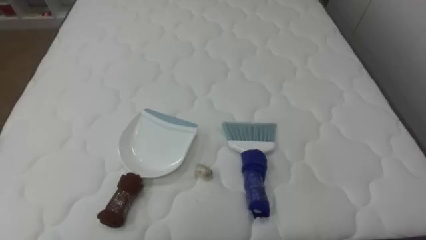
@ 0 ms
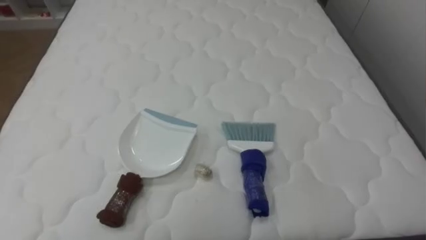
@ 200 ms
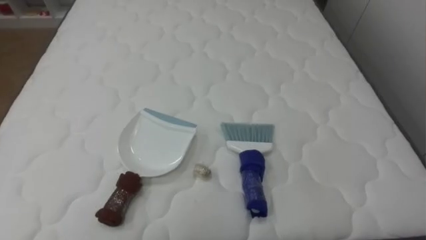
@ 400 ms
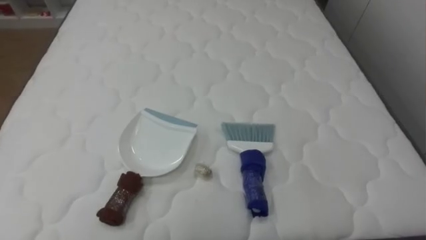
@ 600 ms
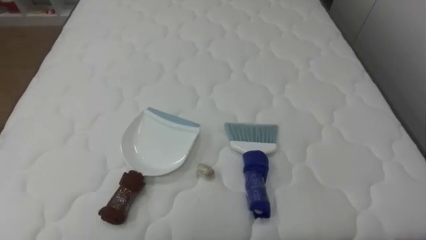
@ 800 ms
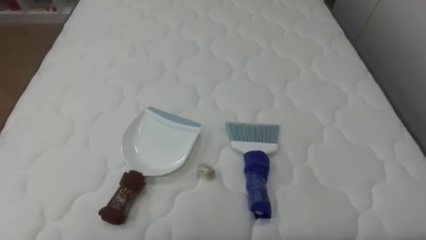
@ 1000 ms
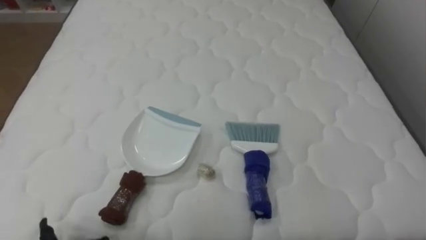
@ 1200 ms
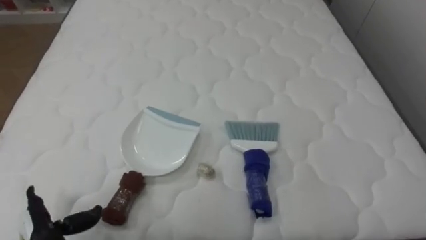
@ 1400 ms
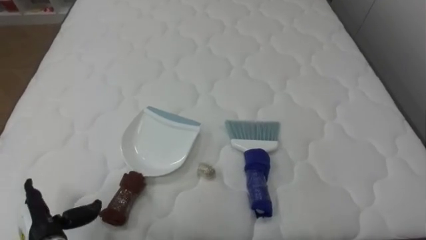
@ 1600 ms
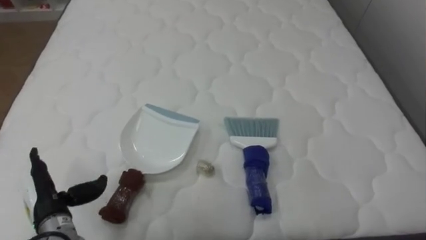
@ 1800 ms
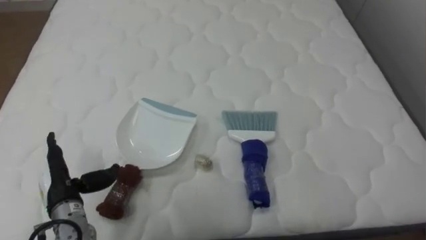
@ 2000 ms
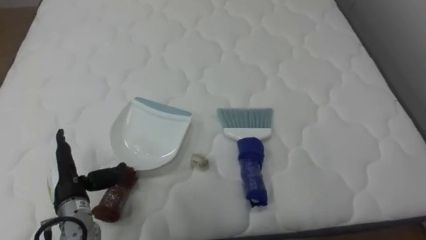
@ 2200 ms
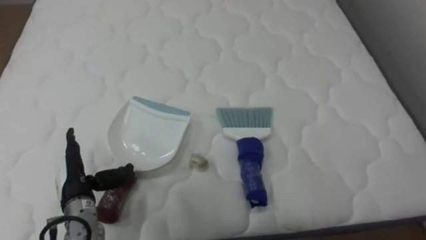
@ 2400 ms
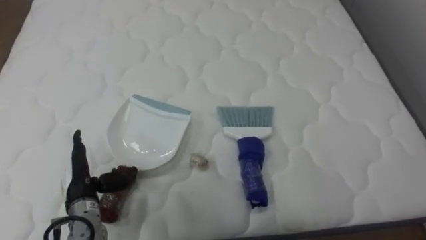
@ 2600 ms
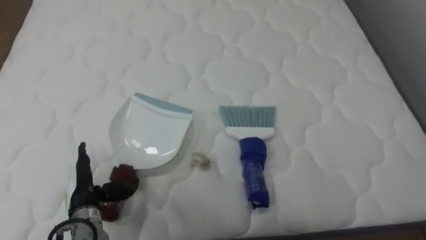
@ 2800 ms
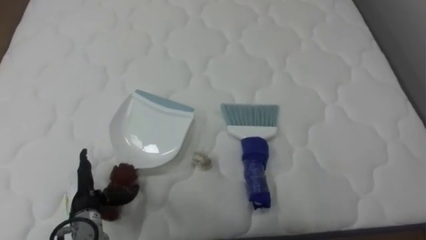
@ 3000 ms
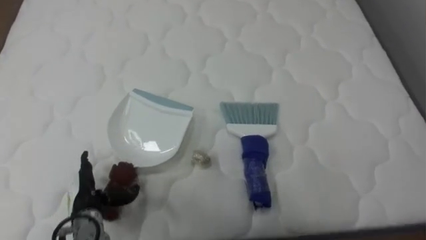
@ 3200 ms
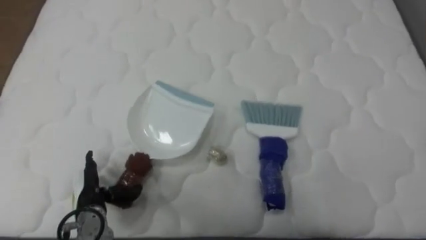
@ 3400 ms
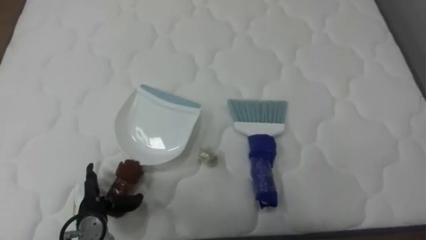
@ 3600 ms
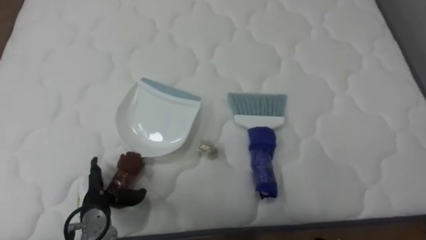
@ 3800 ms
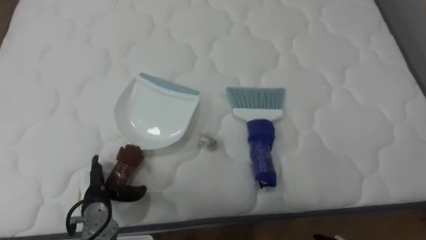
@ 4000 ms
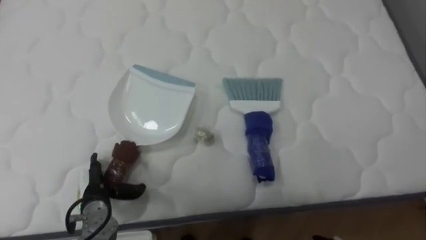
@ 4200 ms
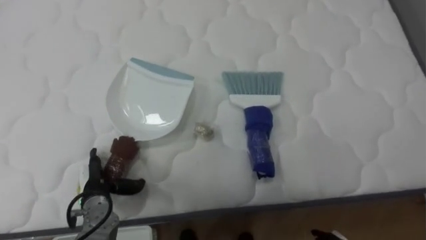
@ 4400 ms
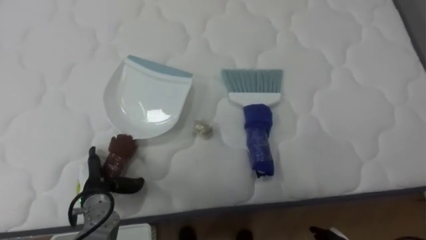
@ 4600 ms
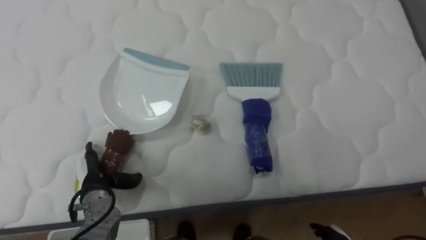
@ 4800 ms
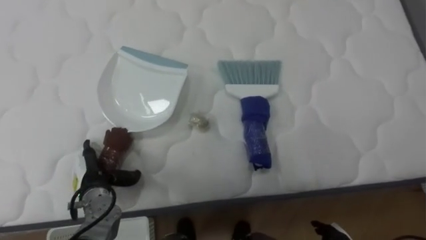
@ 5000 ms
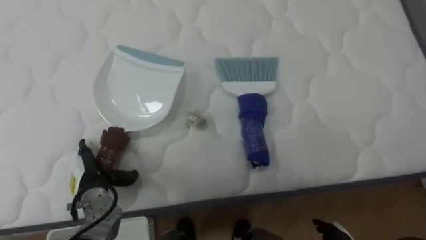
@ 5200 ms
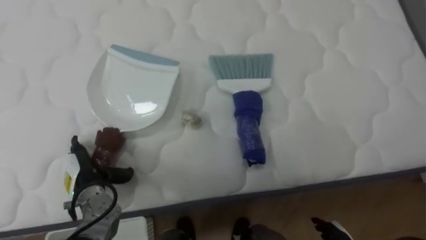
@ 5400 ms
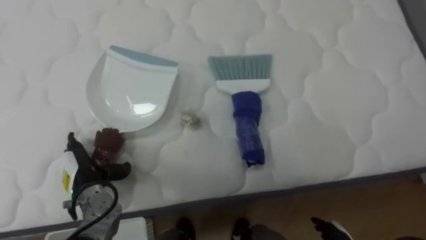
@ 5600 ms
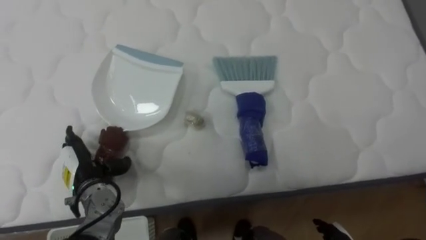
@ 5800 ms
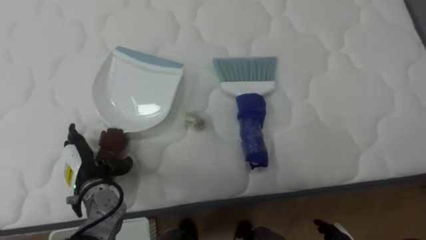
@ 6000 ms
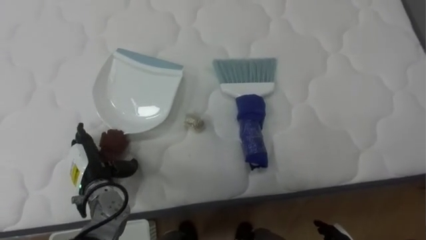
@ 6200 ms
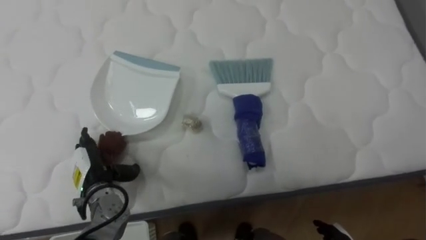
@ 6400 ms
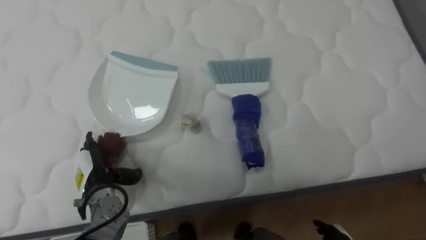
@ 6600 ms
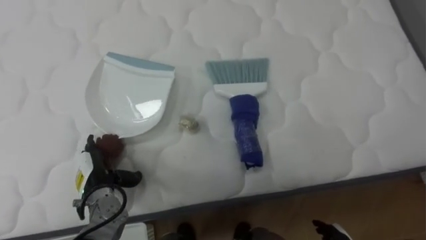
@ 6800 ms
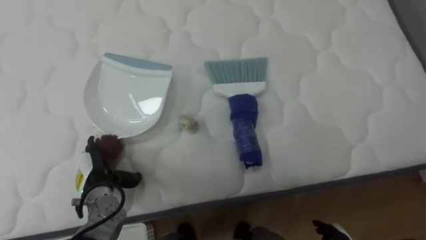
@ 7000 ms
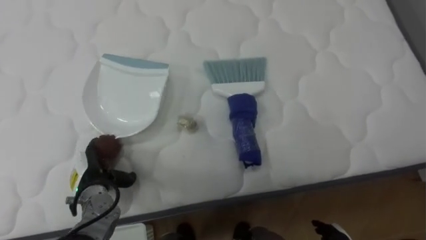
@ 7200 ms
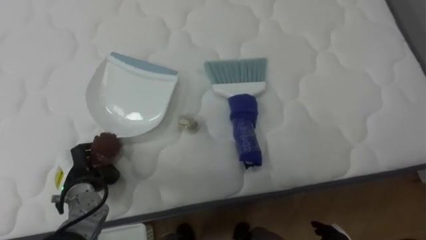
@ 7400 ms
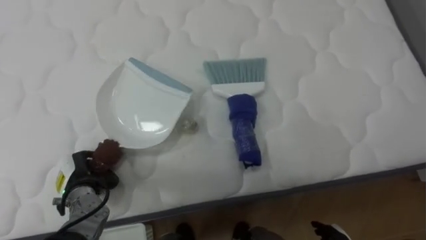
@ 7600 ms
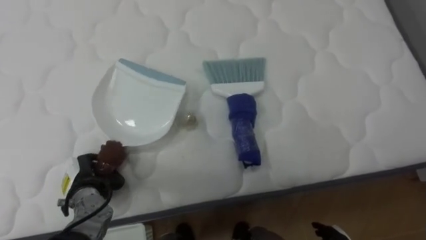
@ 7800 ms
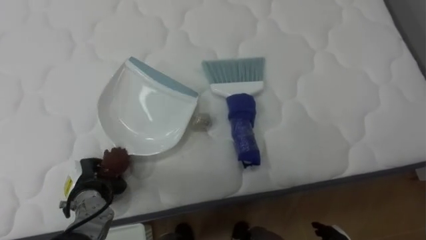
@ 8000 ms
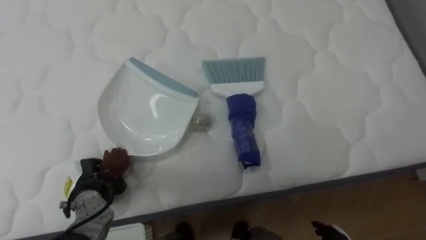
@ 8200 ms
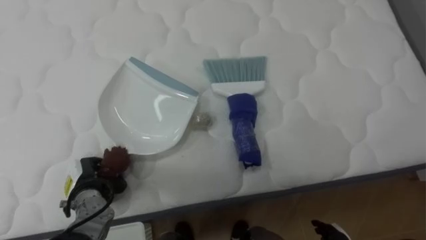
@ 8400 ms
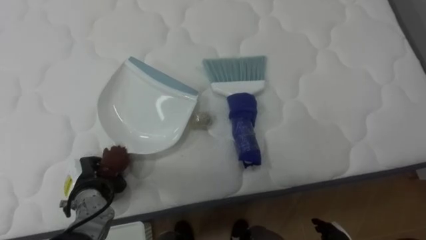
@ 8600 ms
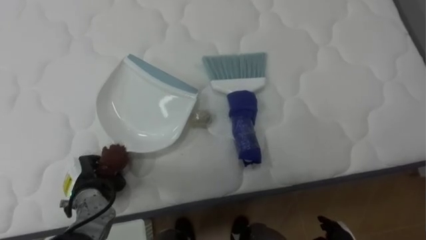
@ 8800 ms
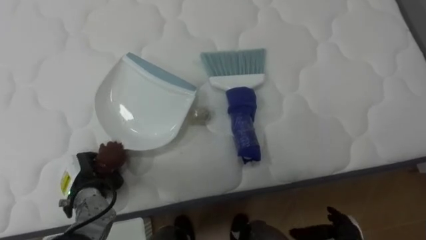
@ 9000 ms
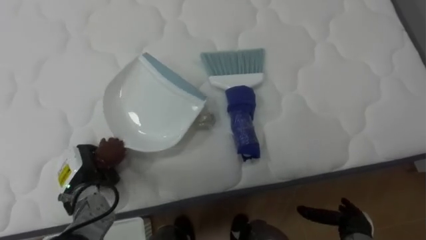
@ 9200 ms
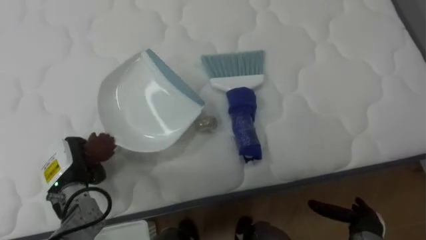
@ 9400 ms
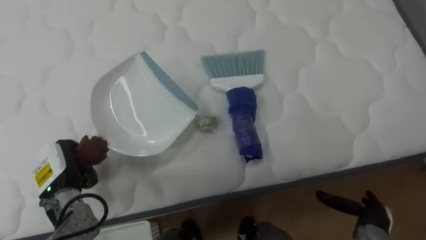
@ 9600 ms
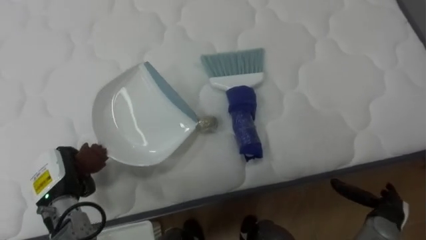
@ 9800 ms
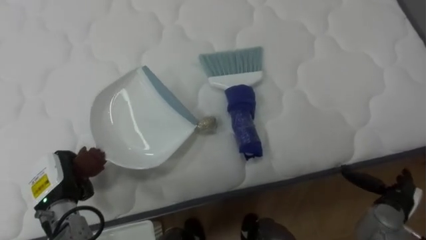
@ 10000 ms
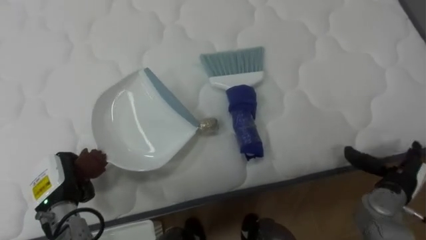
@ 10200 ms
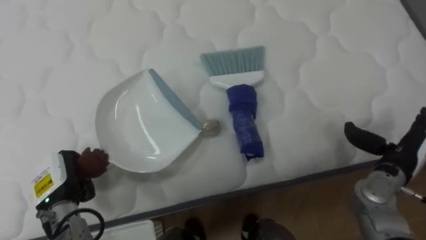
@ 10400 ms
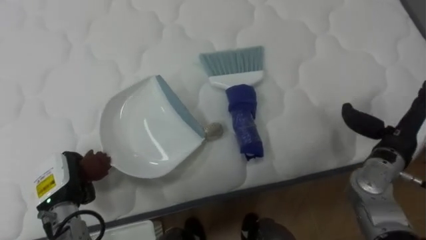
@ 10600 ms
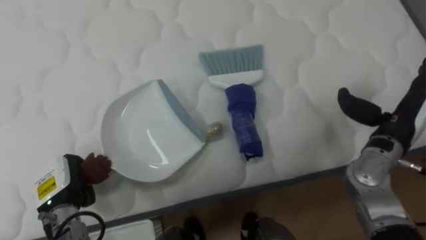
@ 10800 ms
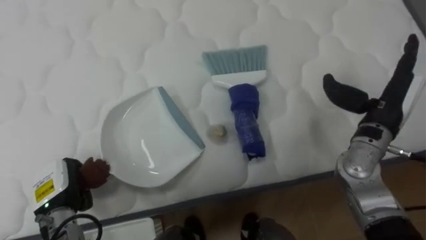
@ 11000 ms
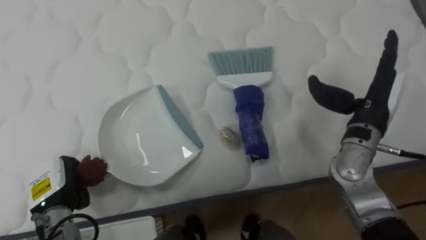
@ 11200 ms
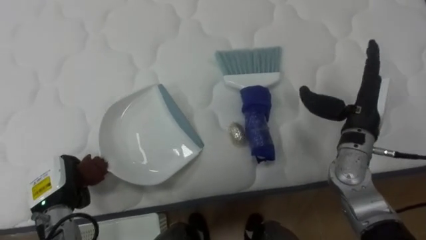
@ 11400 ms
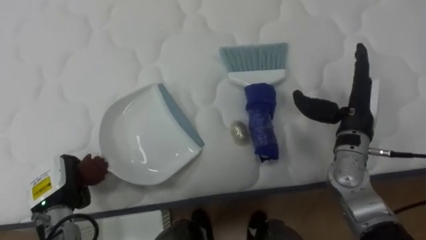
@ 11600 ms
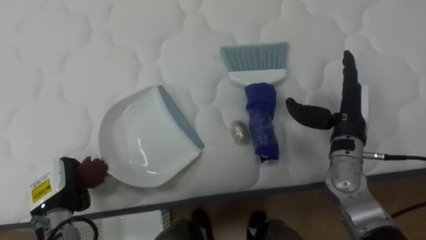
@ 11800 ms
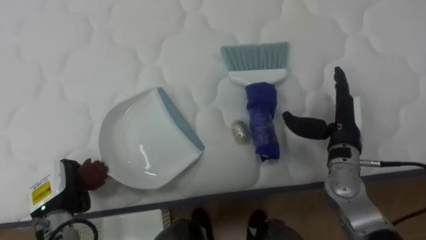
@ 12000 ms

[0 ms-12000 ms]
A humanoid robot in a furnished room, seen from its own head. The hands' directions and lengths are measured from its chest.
Task of the whole recording: Pick up the brush on your right and the dustpan on your left. Use the brush to sweep the crumpled paper on the bed into the dustpan, then turn left and empty it into the basket.
1600 ms to 3000 ms: The left hand goes about 10 cm forward and to the right.
6000 ms to 7600 ms: The left hand closes up.
9000 ms to 10400 ms: The right hand travels upward, forward and to the right by about 20 cm.
10400 ms to 12000 ms: The right hand heads to the left and forward, covering some 10 cm.

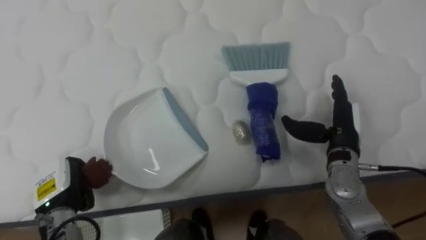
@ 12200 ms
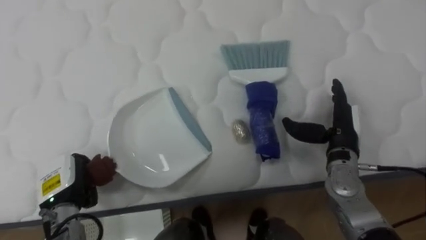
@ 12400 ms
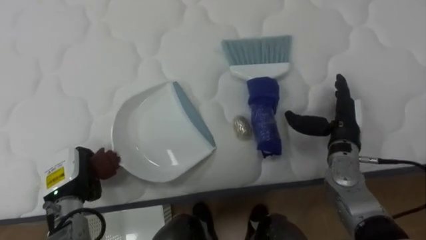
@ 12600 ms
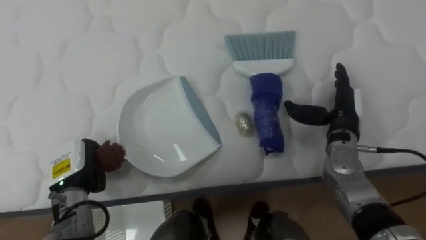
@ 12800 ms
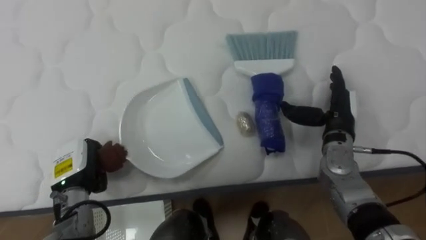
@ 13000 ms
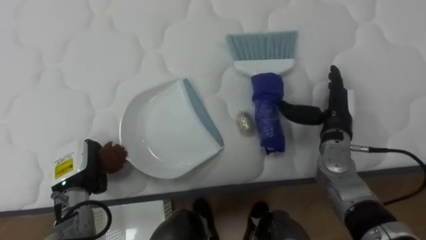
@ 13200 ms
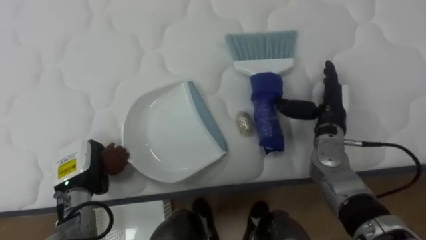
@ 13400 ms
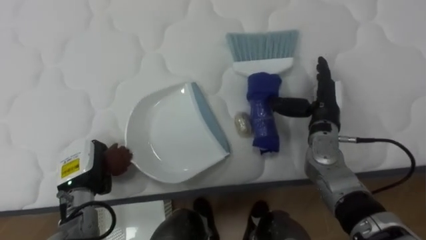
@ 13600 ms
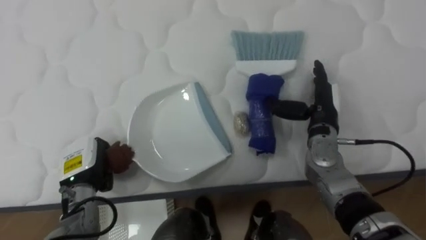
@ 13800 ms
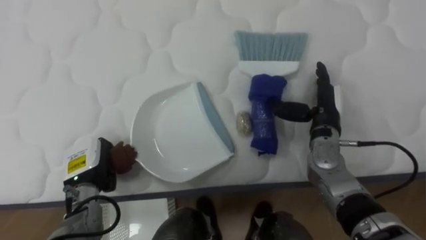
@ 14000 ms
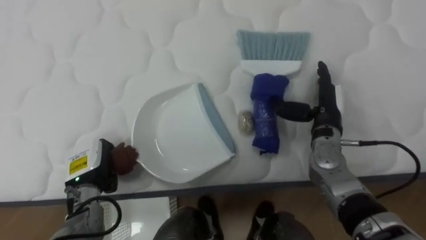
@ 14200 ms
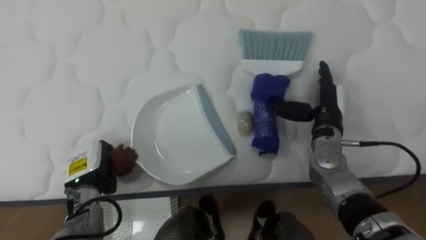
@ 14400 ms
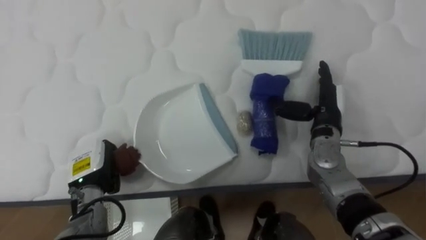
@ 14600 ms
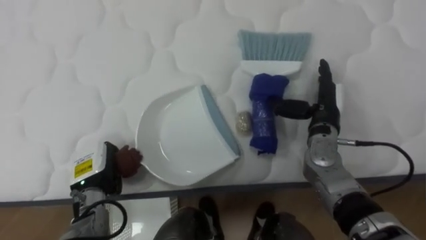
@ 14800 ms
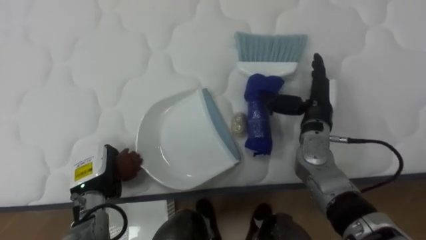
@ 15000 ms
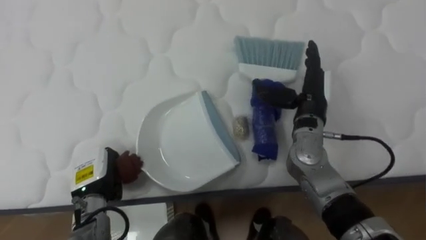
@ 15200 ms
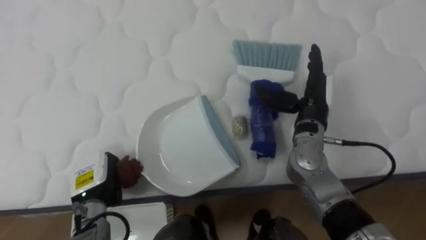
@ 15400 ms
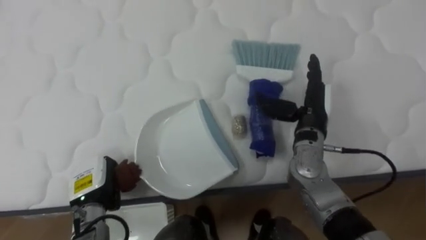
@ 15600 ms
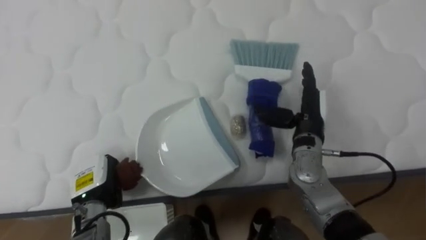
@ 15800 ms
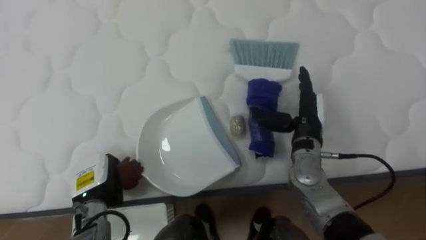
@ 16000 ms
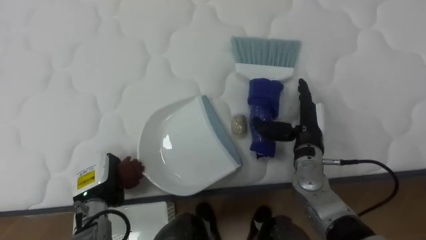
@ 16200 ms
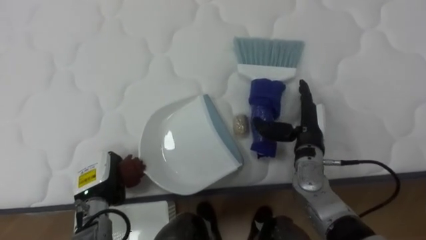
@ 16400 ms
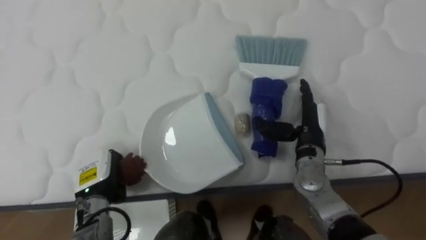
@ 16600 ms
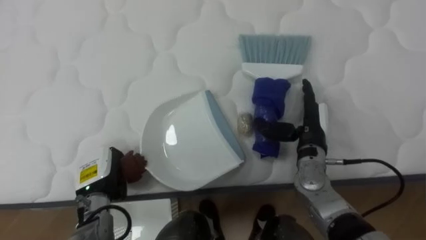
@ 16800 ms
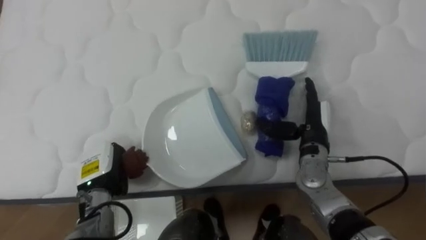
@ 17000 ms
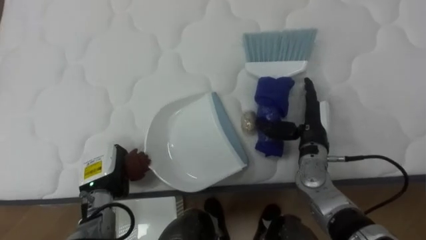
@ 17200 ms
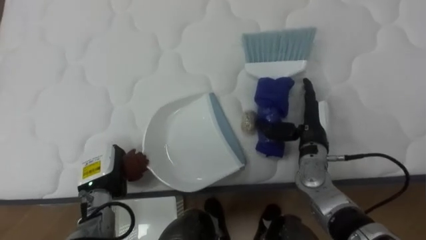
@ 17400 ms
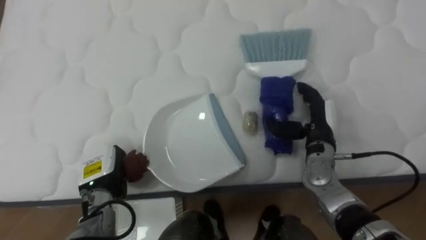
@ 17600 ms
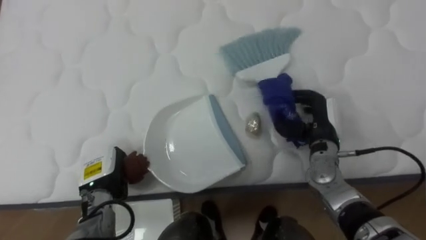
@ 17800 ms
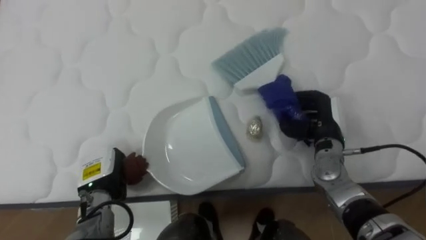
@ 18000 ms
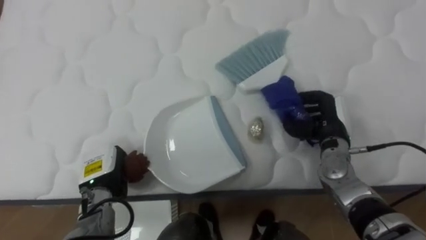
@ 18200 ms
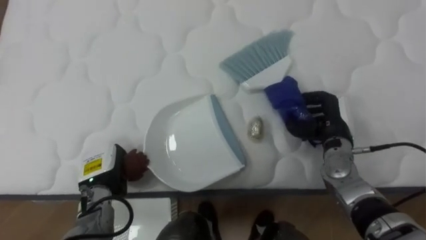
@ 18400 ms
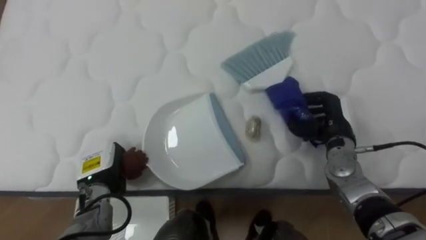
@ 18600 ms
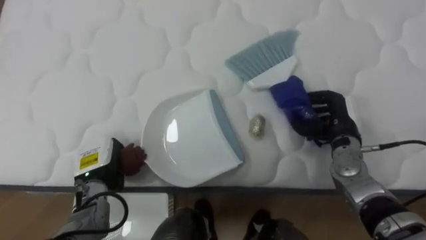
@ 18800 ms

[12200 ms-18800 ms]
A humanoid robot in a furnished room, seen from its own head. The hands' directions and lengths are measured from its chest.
Task of the whole recording: Pick up the brush on your right and the dustpan on your left. Use the brush to sweep the crumpled paper on the bed into the dustpan, then turn left and empty it into the basket.
12200 ms to 13800 ms: The right hand shifts by approximately 5 cm. Meanwhile the left hand shifts by approximately 5 cm.
15400 ms to 17200 ms: The right hand shifts some 5 cm downward.
17200 ms to 18800 ms: The right hand is displaced to the right by approximately 5 cm, and closes.
